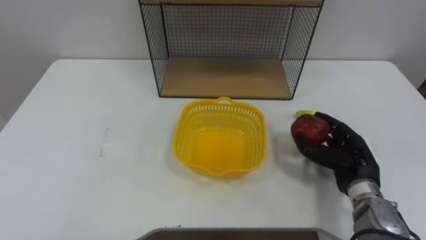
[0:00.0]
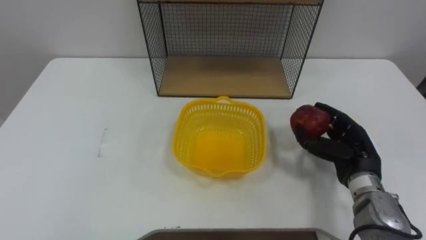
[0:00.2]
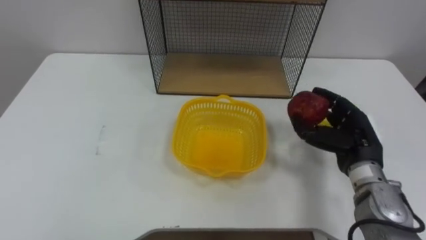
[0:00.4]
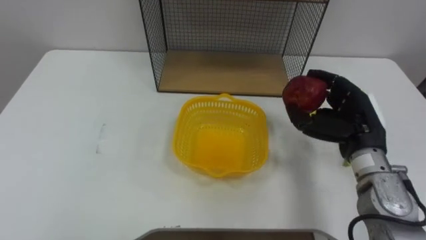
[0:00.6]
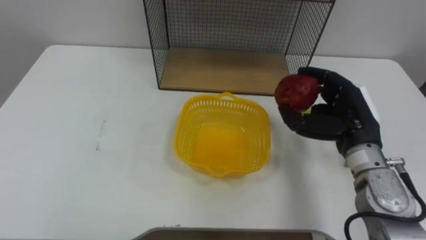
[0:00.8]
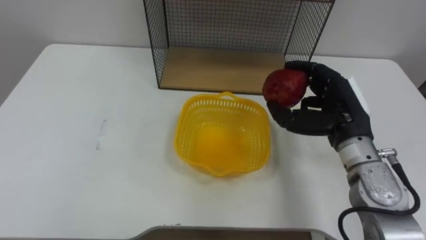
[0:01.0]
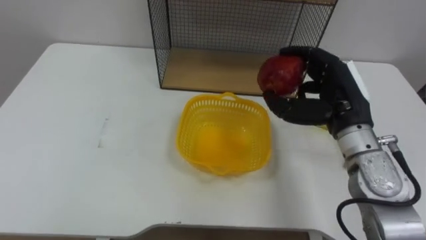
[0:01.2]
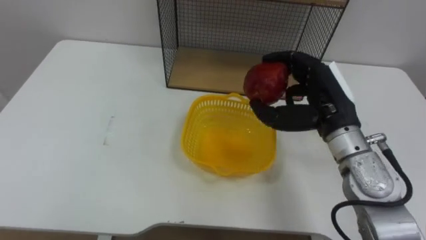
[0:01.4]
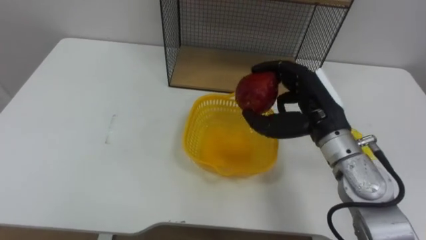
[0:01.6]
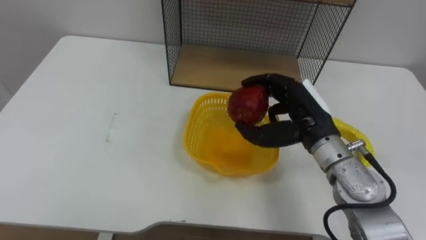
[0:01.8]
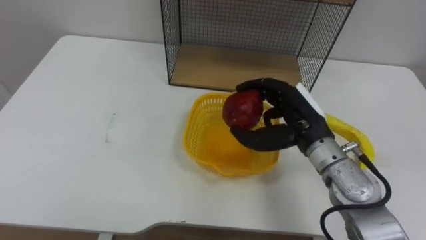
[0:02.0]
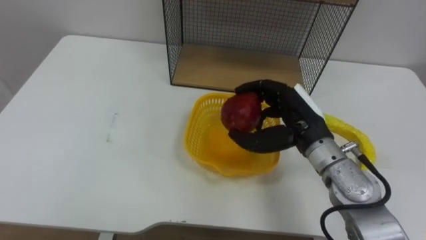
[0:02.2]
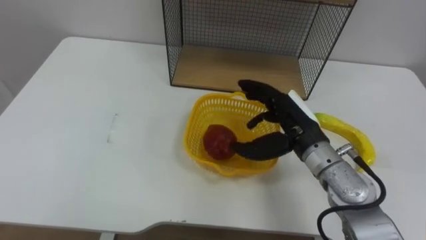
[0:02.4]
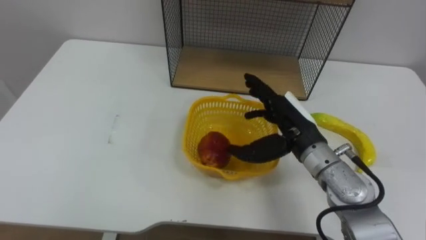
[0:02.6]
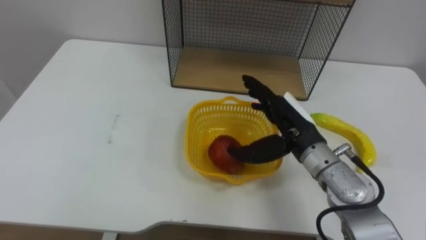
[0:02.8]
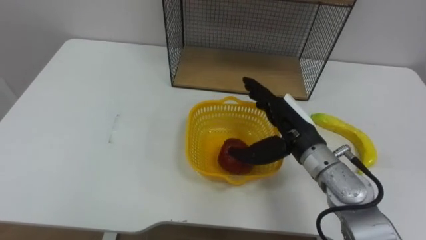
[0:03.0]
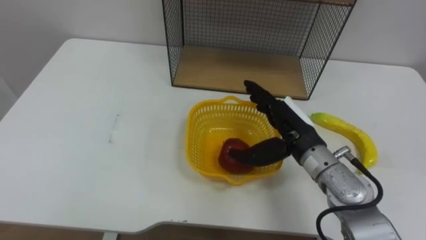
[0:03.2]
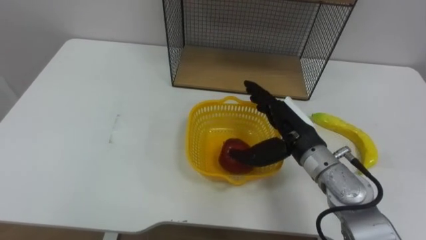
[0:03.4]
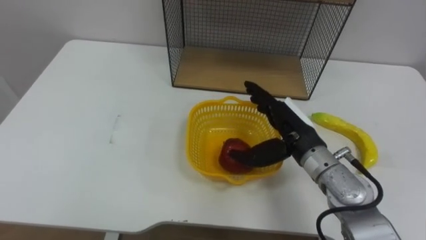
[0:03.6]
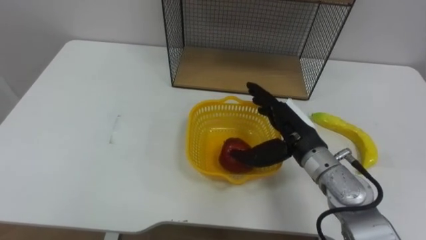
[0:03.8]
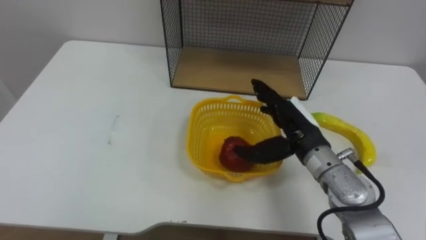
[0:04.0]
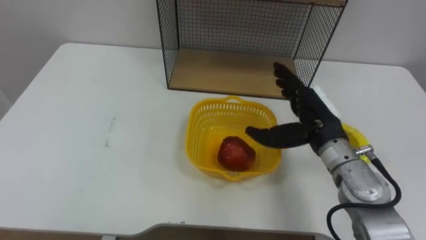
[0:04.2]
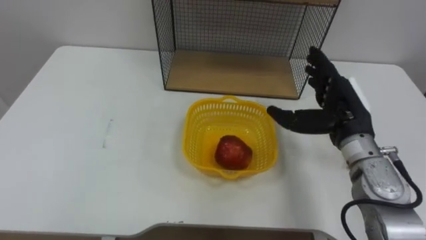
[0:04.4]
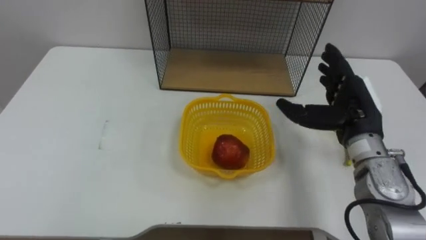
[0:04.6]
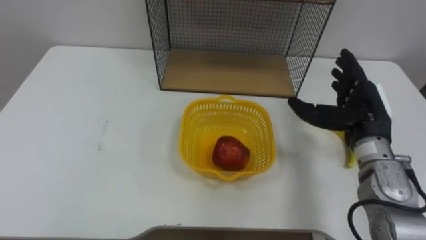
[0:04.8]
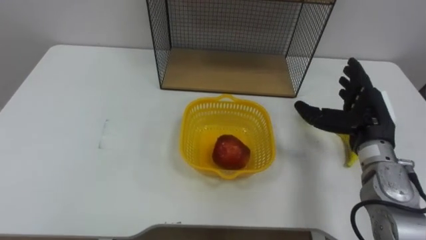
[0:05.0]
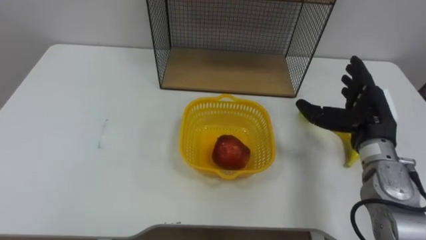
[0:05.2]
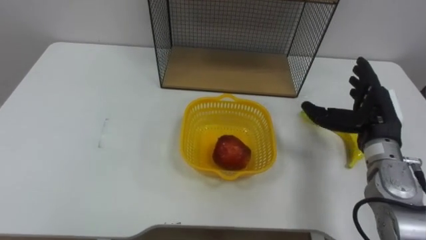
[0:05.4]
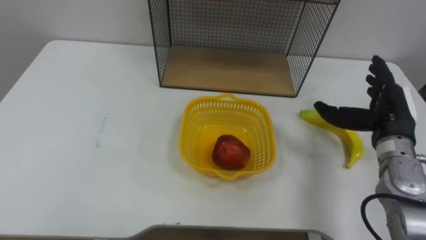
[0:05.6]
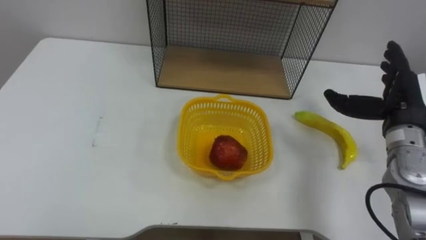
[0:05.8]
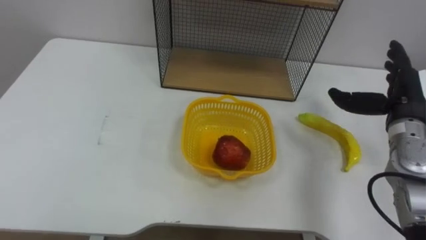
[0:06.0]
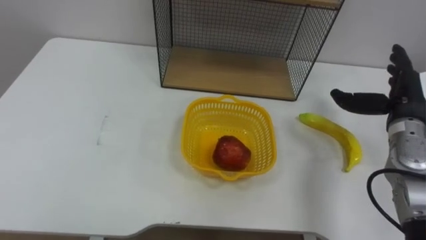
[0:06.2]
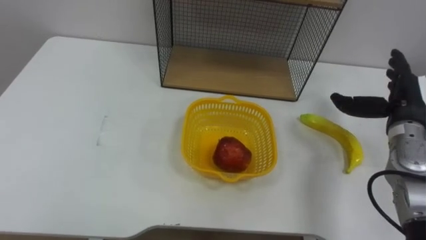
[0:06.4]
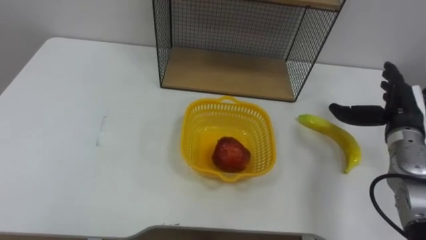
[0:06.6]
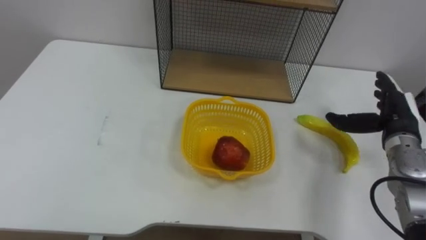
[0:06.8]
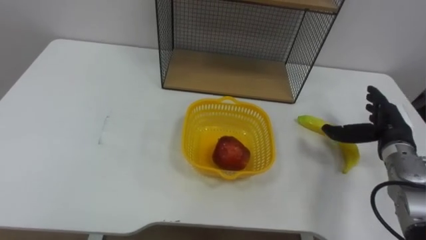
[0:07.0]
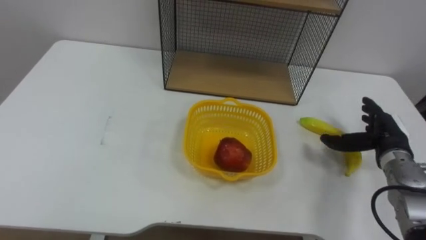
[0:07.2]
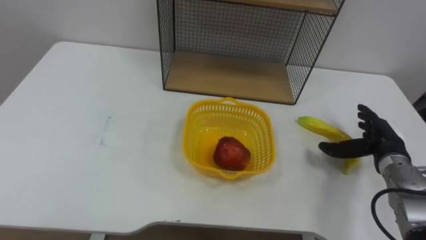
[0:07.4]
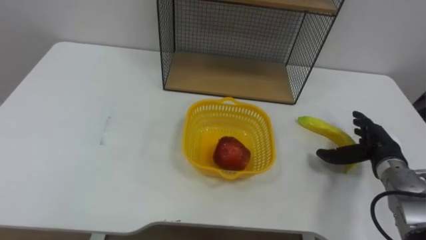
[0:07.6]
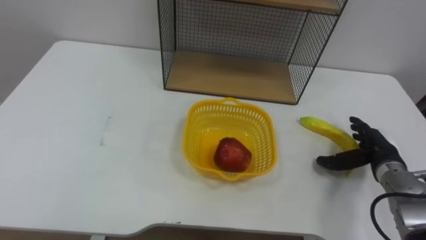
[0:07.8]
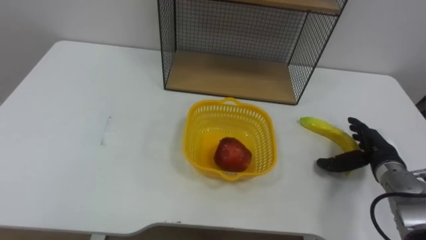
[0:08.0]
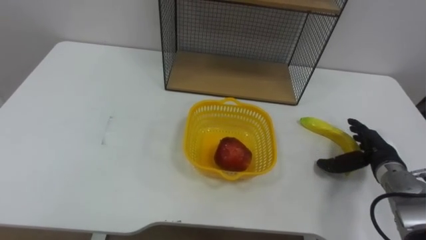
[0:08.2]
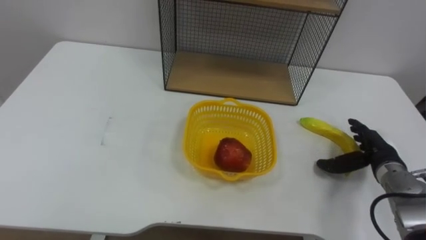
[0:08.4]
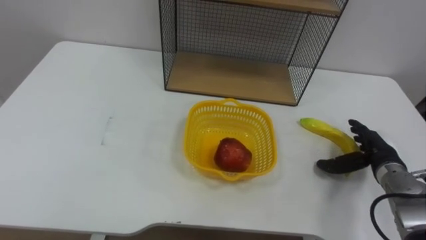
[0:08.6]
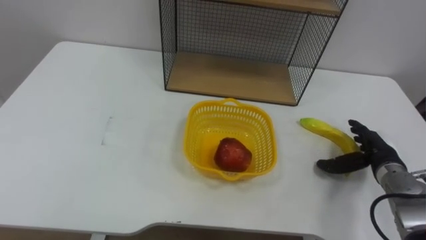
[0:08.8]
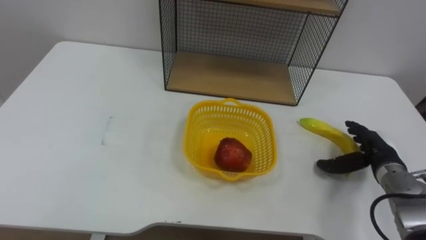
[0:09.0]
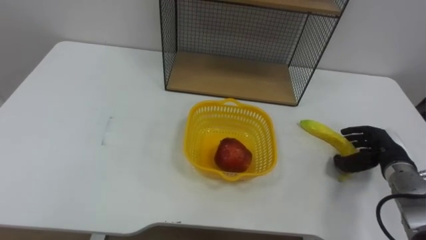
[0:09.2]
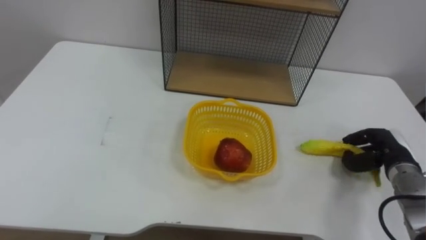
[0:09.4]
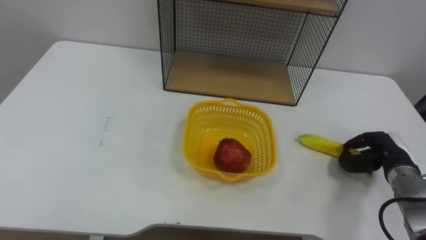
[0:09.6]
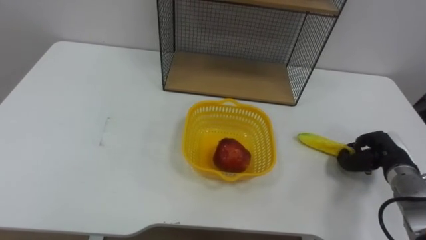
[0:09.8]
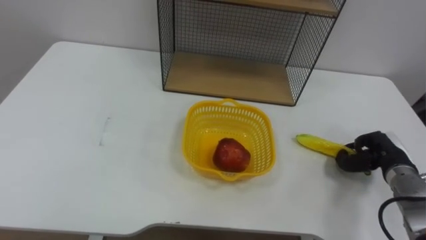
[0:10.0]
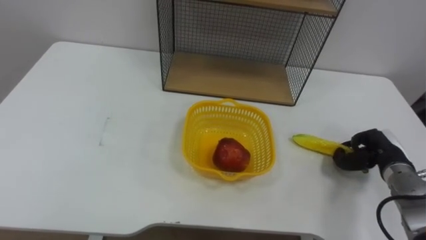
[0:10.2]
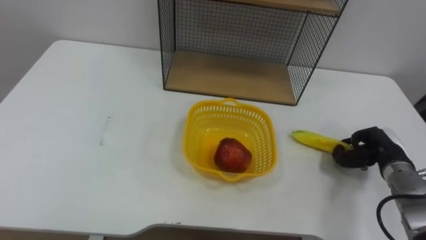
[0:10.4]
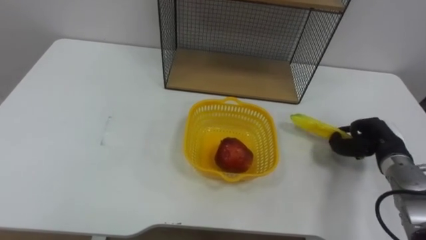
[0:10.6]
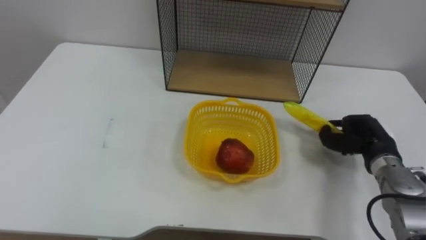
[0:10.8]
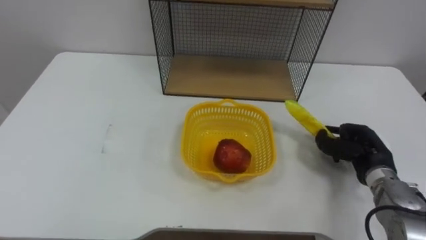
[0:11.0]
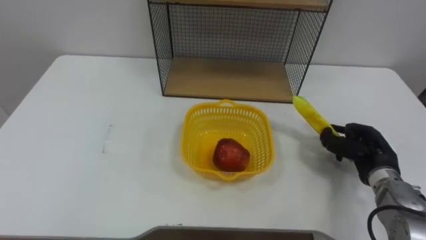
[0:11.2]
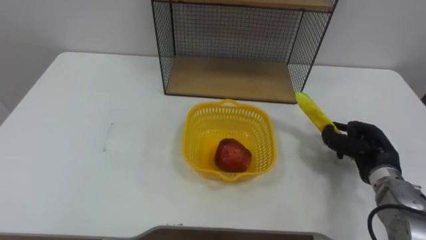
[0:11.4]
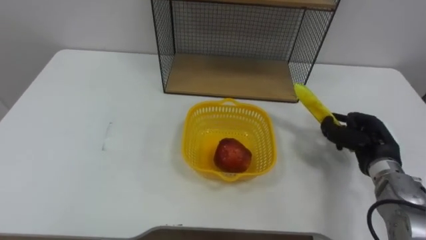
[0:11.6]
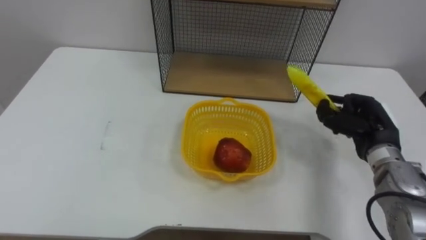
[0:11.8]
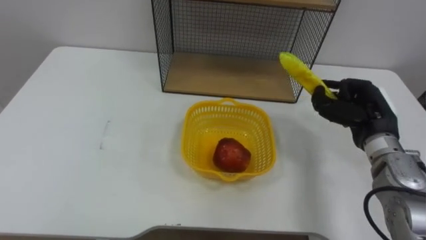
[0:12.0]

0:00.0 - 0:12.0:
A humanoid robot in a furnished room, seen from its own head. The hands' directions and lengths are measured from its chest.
Task of the whole recording: Put the fruit on the table into the basket, then place the basket on the shelf.
0:00.0 - 0:01.6: The right hand moves upward and to the left, approximately 15 cm.
0:01.6 - 0:03.0: The right hand moves about 5 cm, and opens up.
0:03.0 - 0:04.4: The right hand goes roughly 10 cm to the right.
0:04.4 - 0:06.0: The right hand is displaced to the right by roughly 10 cm.
0:06.0 - 0:07.6: The right hand heads downward, covering approximately 10 cm.
0:09.0 - 0:10.4: The right hand closes.
0:10.4 - 0:12.0: The right hand shifts roughly 10 cm upward and to the left.

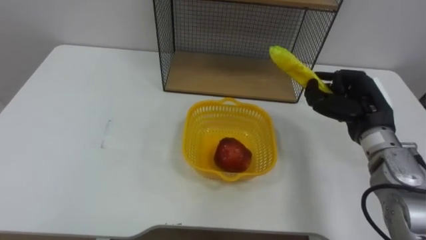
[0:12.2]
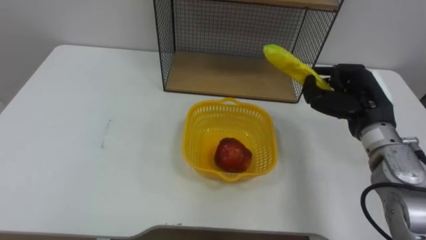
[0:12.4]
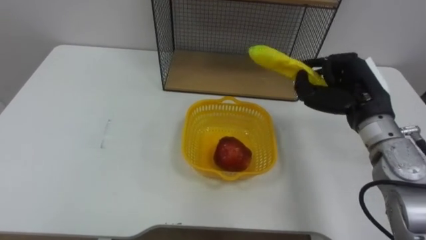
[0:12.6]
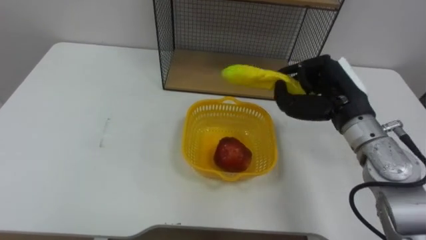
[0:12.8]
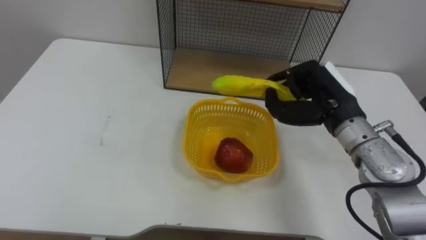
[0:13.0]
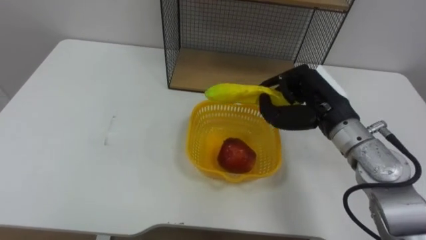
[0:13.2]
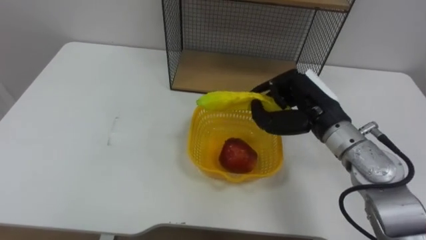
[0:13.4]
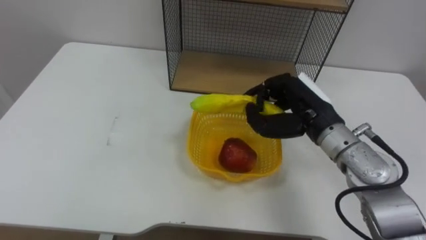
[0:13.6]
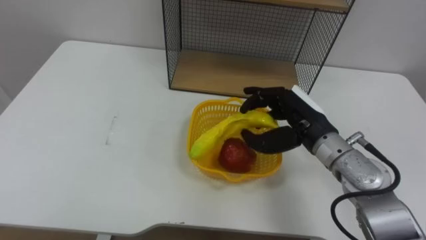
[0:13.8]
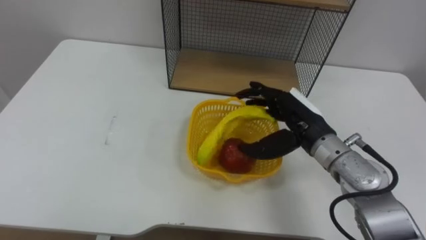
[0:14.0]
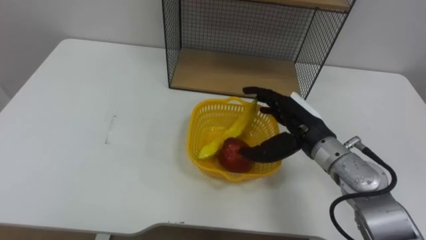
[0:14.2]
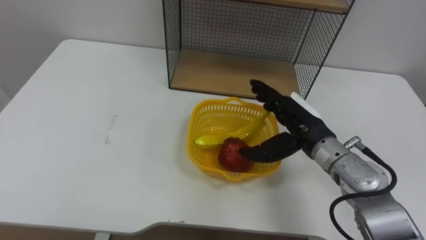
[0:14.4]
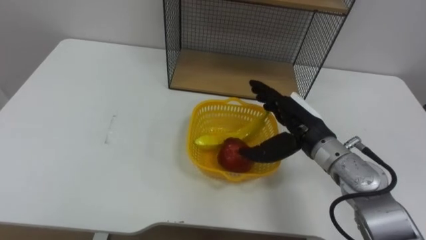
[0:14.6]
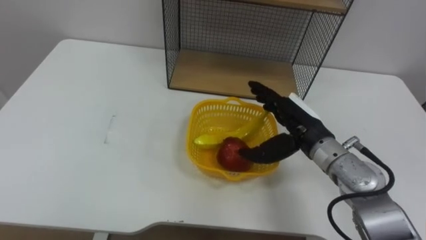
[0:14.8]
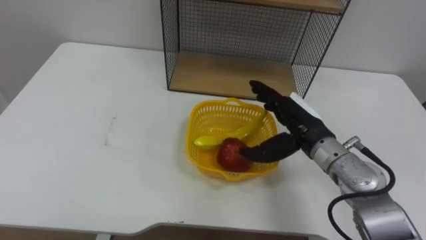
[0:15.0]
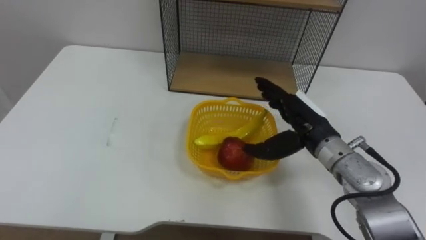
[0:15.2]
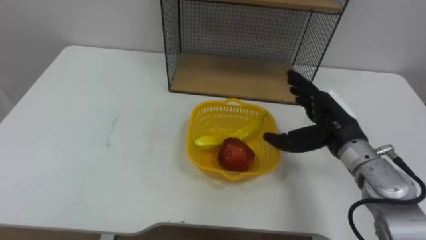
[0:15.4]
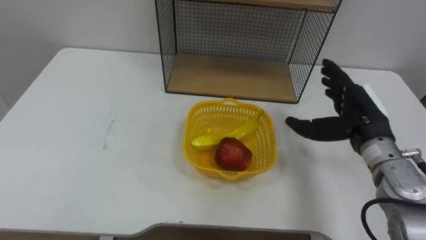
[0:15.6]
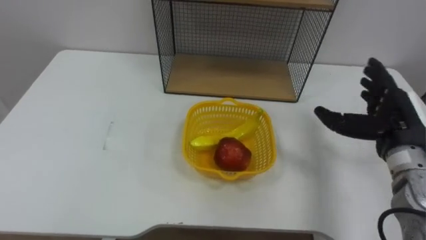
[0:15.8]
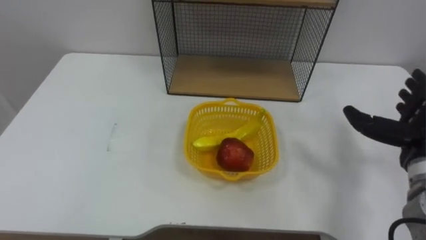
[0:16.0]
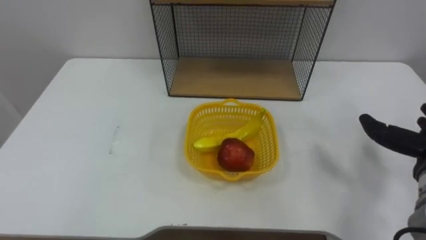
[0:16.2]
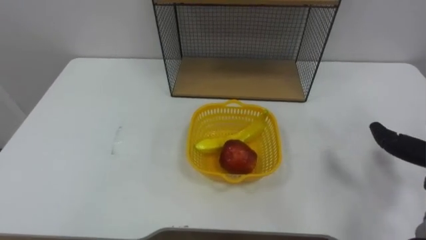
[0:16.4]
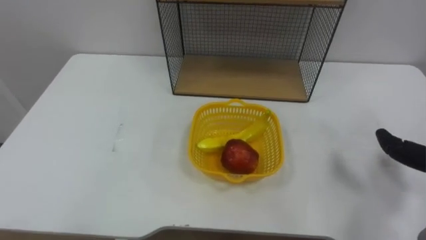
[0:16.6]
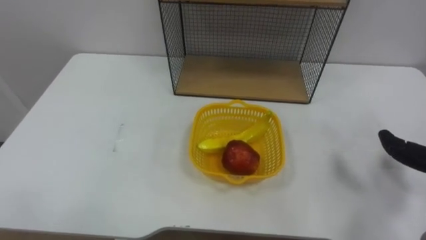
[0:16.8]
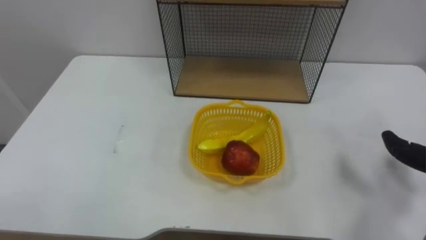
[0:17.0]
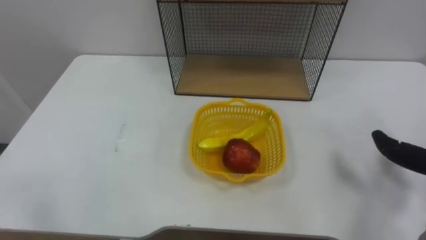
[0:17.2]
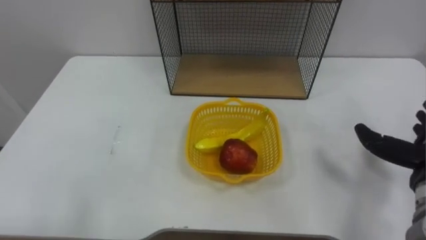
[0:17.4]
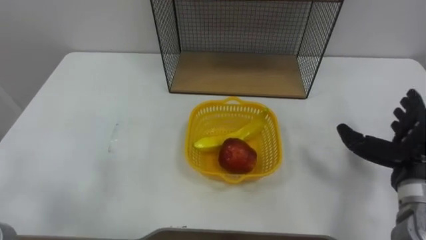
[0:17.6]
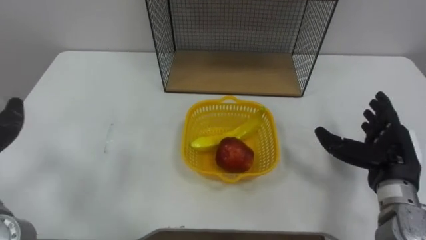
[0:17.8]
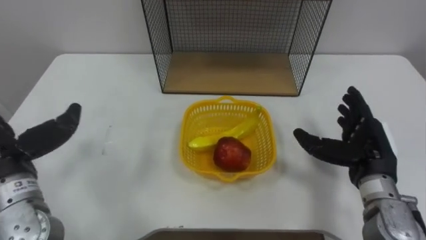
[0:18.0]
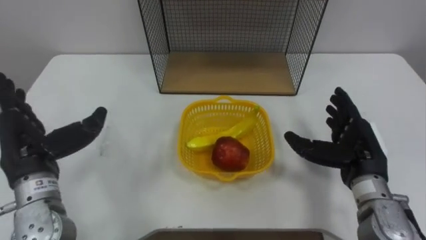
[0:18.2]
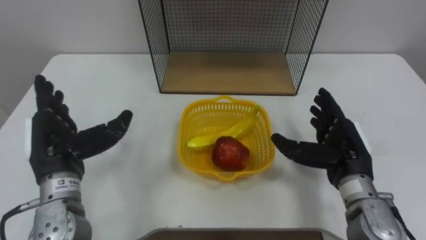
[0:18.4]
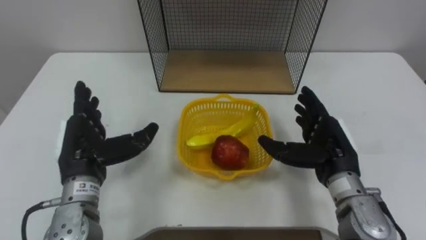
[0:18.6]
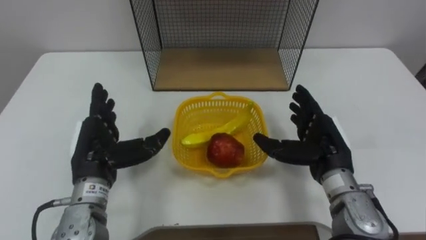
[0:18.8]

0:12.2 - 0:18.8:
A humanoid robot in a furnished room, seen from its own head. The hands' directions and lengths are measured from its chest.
Task of the whole recording: Put the fruit on the table into the basket, then place the basket on the shelf.
0:12.2 - 0:13.8: The right hand goes approximately 10 cm to the left, and opens.
0:13.8 - 0:15.4: The right hand goes about 5 cm to the right, and opens its fingers.
